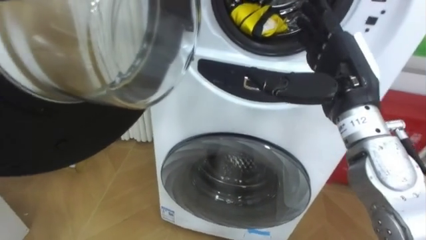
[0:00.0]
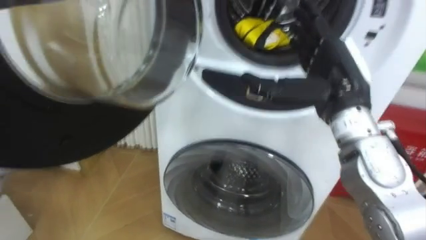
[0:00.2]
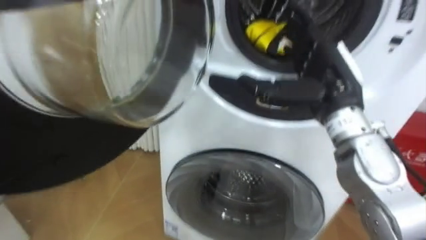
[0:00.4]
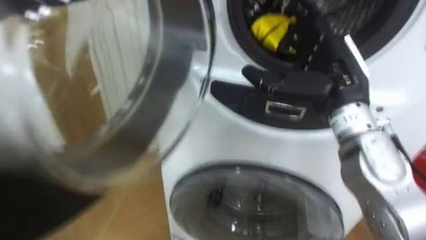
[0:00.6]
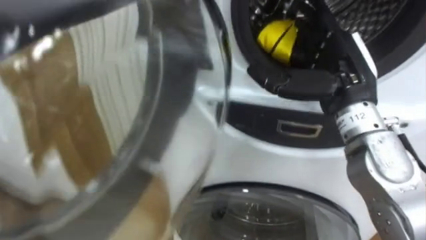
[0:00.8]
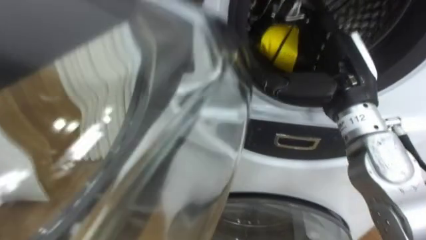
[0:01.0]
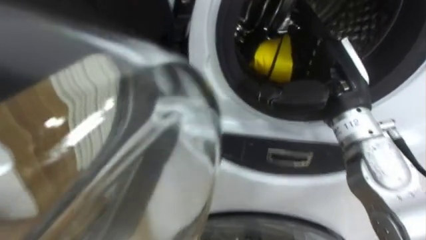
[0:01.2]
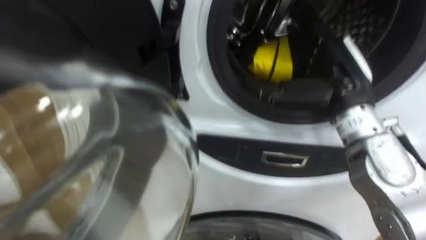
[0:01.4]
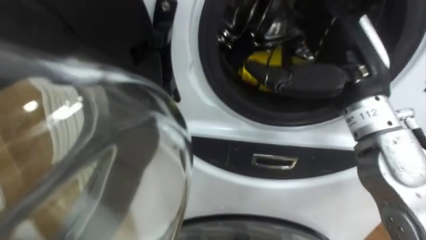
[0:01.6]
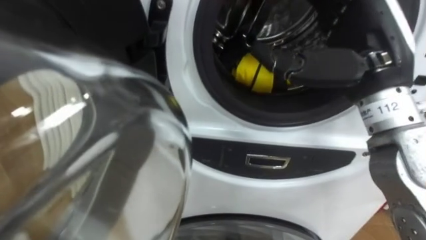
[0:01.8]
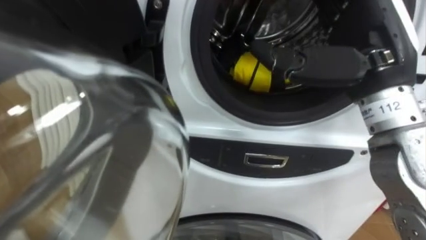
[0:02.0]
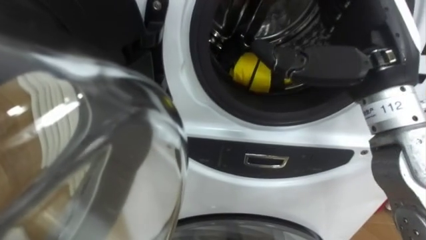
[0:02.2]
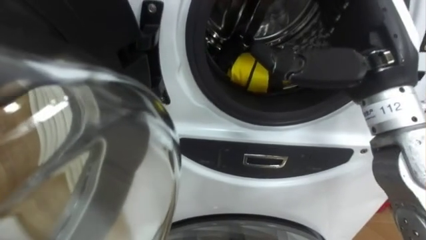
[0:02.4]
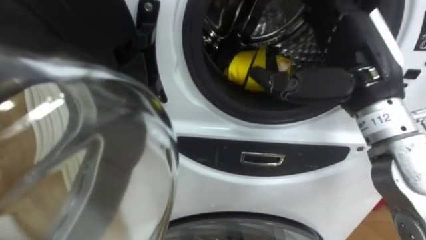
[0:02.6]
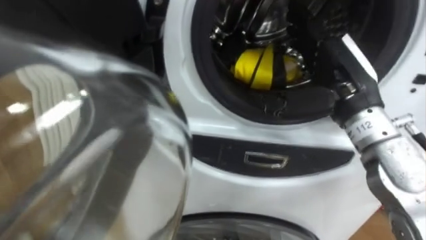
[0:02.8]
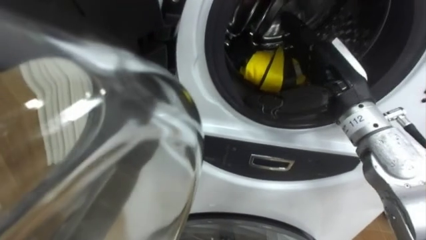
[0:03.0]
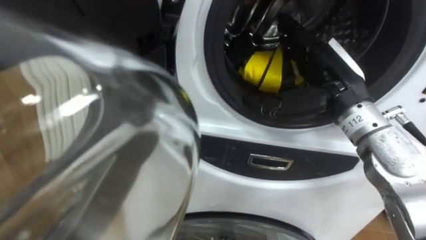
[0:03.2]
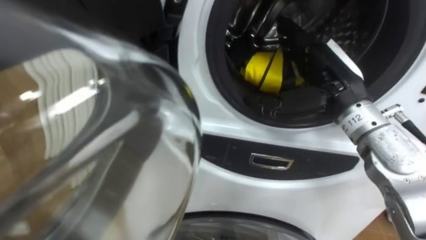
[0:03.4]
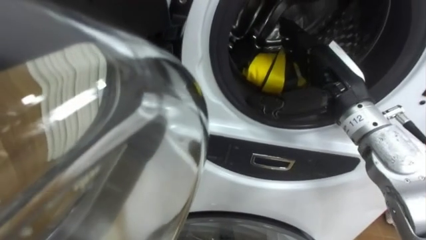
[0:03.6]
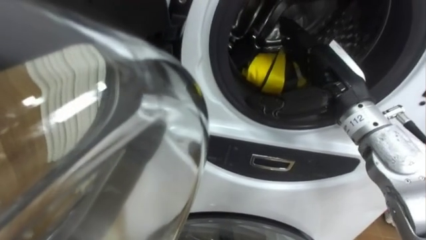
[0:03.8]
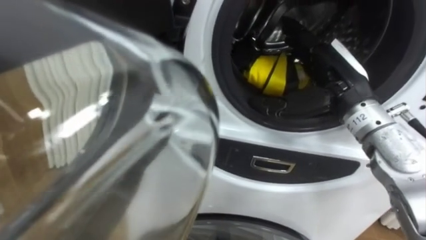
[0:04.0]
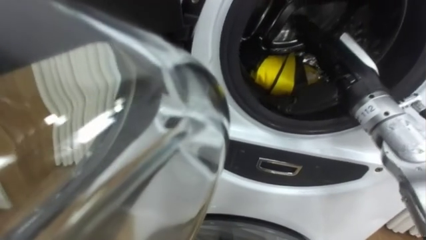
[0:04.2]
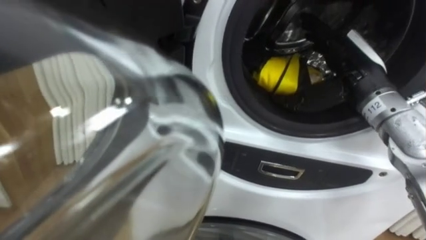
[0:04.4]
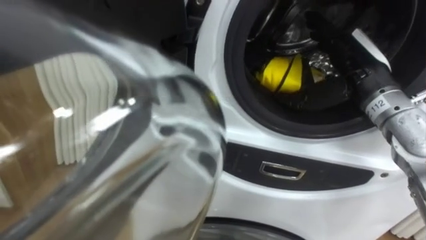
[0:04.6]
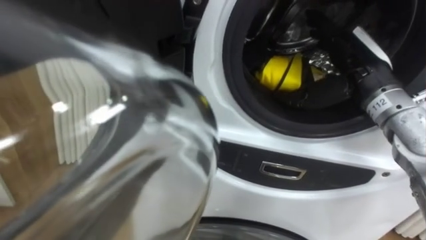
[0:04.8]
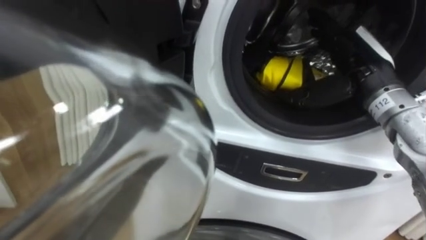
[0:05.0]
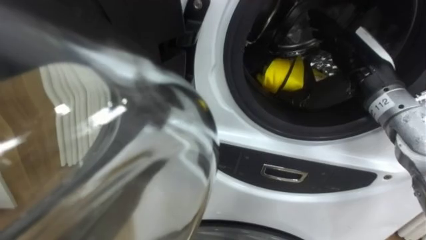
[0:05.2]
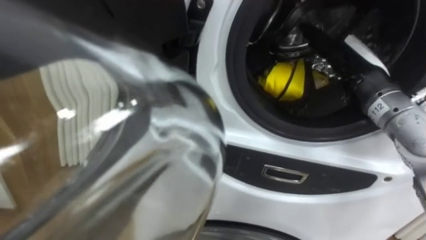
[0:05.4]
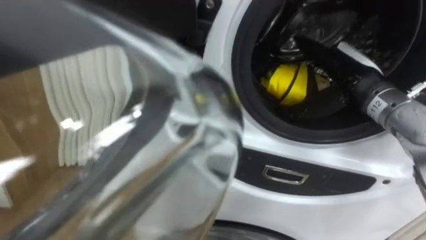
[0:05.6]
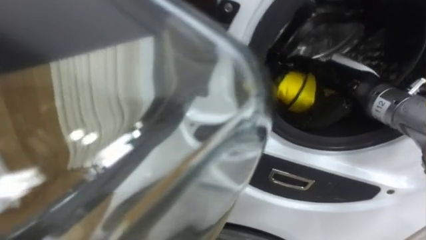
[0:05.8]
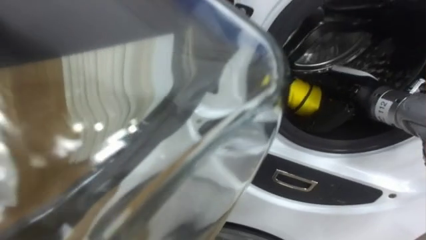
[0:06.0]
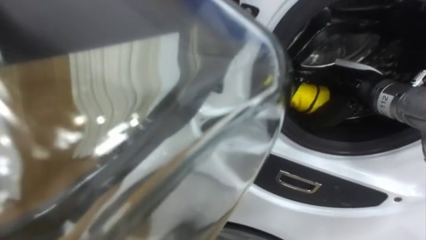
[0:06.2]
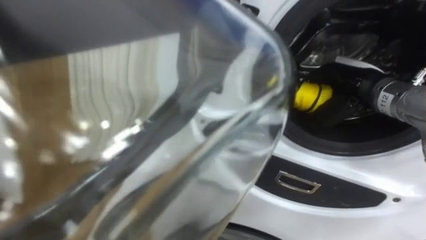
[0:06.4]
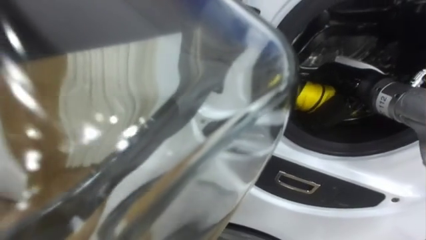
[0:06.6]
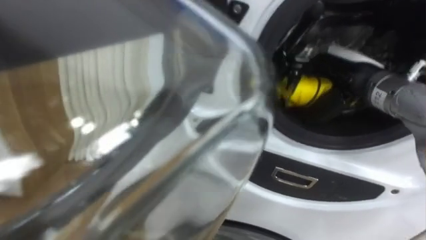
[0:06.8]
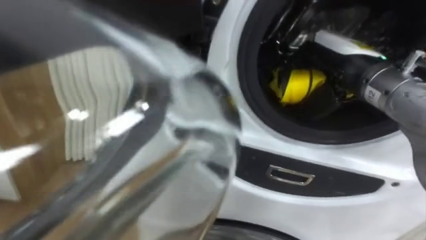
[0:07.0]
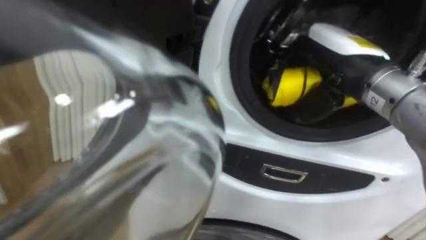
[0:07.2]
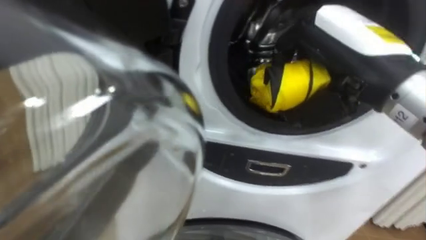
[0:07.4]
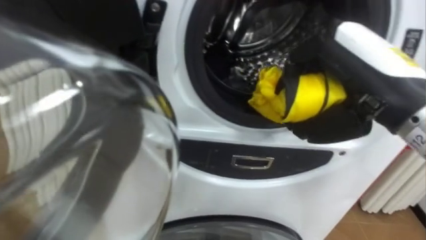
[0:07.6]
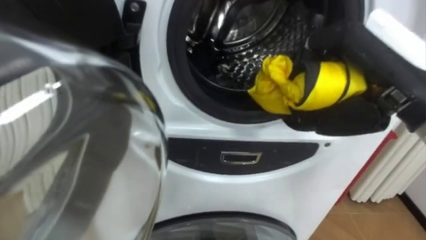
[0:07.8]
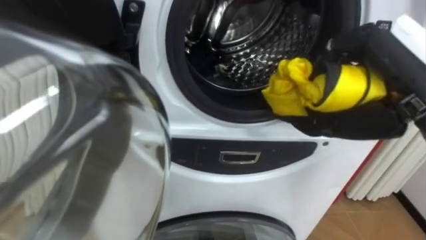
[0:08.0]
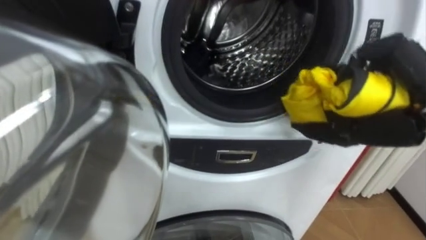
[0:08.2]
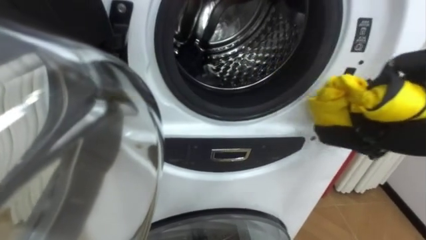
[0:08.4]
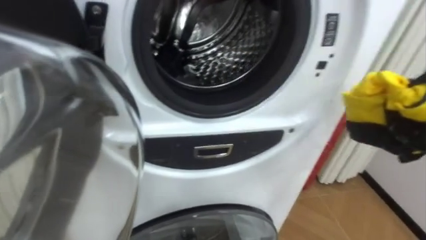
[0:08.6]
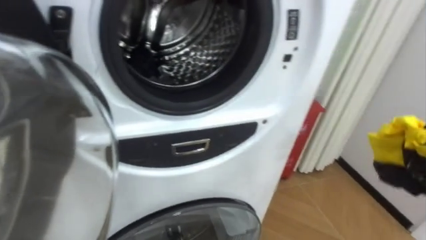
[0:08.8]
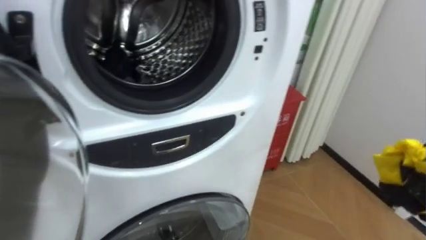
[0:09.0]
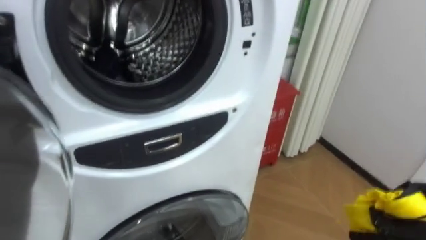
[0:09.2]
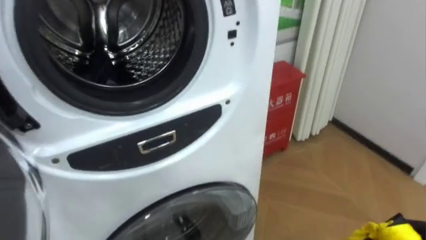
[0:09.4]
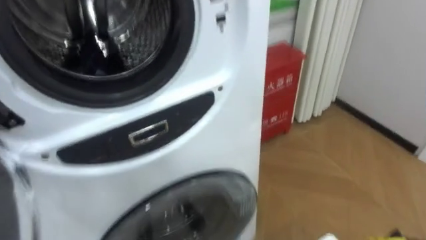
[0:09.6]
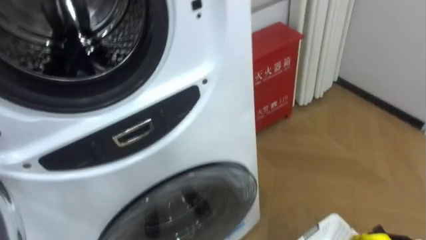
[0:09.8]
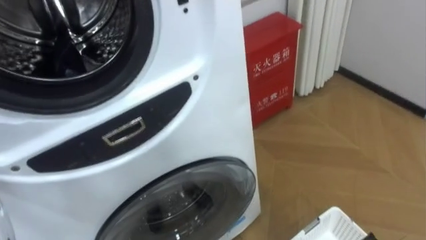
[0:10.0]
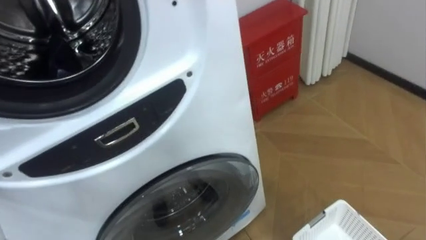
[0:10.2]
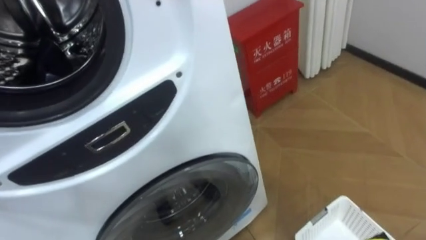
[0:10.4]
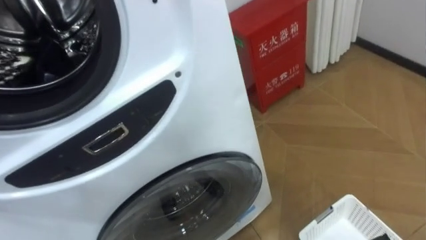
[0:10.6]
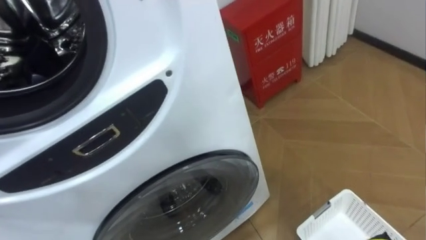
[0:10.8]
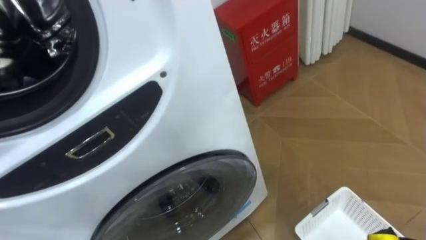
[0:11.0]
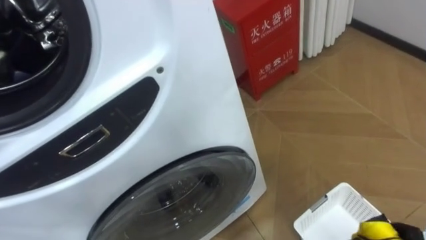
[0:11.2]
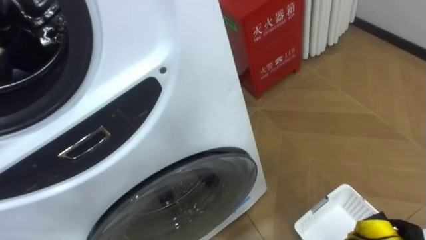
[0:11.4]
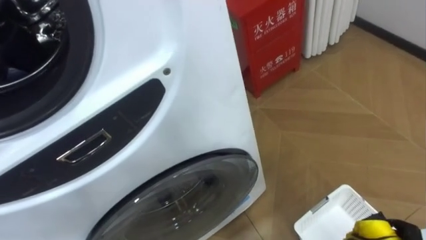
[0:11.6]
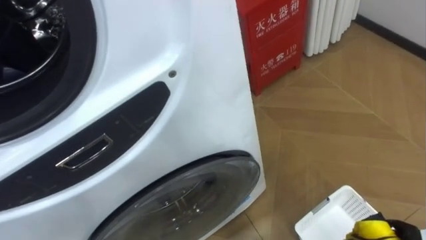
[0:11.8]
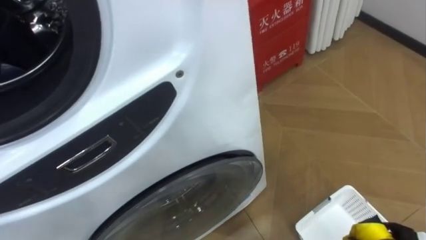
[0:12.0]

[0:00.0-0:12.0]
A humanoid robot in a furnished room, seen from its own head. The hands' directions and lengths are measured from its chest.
Task of the whole recording: Open the washing machine door, take out the yellow clothes, place them in the box on the right, and close the washing machine door.
0:04.4 to 0:06.0: The right hand goes some 5 cm downward.
0:06.0 to 0:07.6: The right hand shifts about 20 cm upward, backward and to the left, and closes.

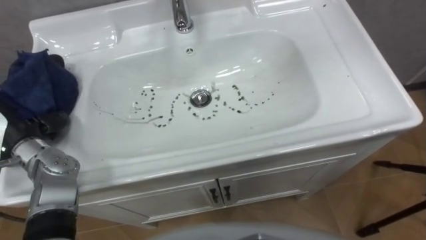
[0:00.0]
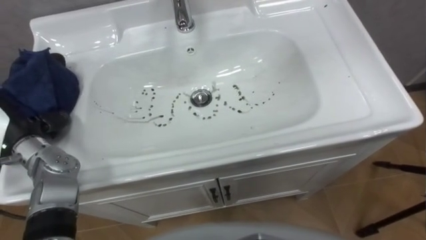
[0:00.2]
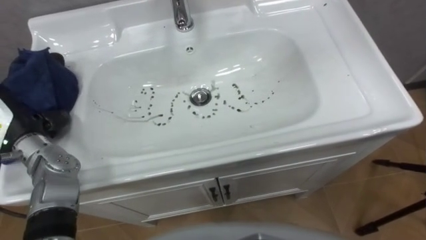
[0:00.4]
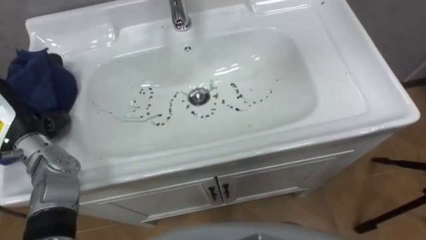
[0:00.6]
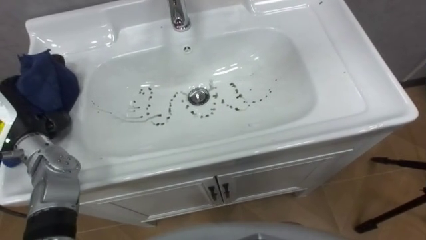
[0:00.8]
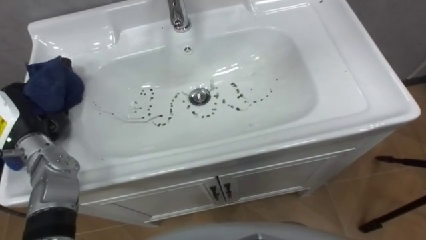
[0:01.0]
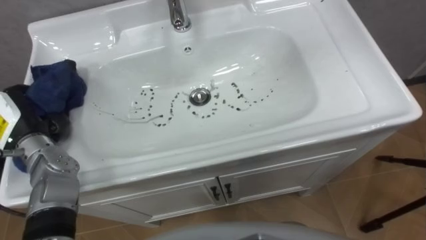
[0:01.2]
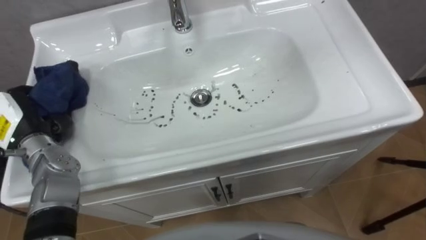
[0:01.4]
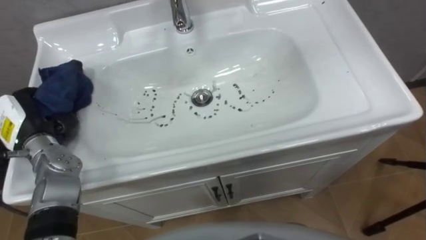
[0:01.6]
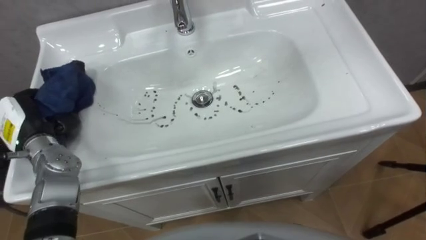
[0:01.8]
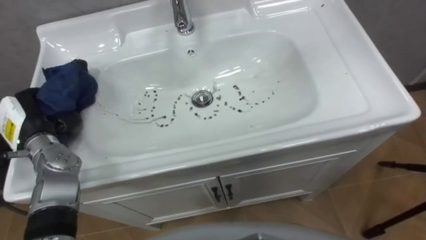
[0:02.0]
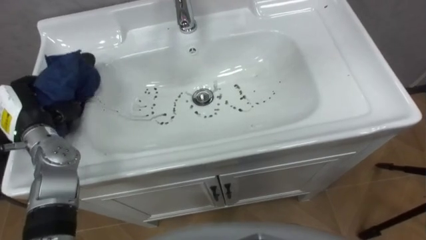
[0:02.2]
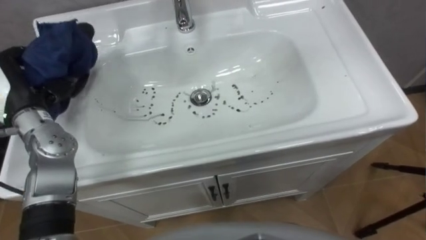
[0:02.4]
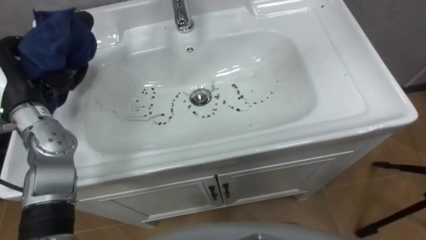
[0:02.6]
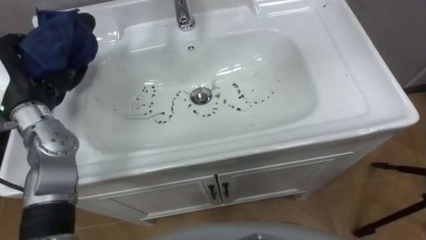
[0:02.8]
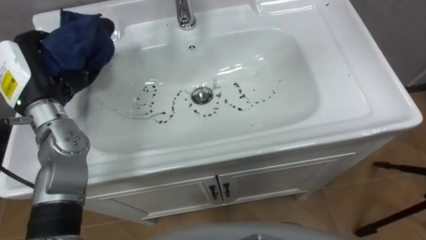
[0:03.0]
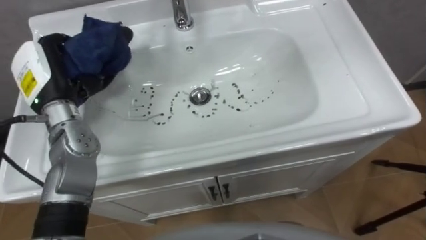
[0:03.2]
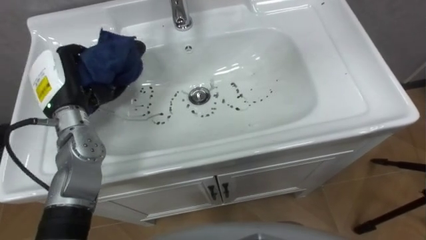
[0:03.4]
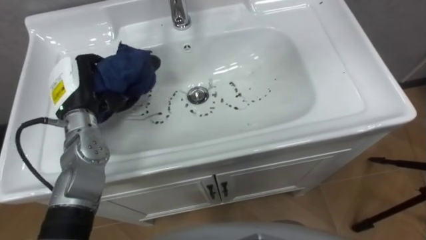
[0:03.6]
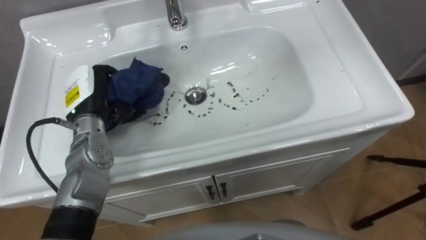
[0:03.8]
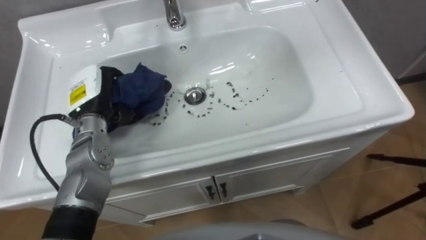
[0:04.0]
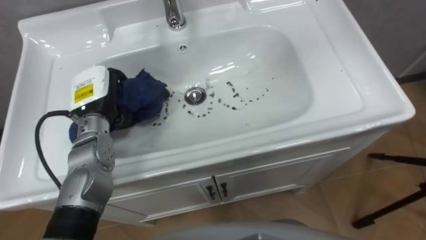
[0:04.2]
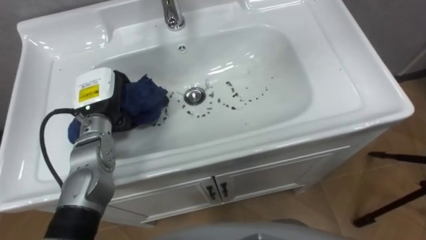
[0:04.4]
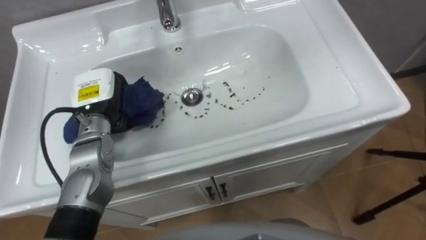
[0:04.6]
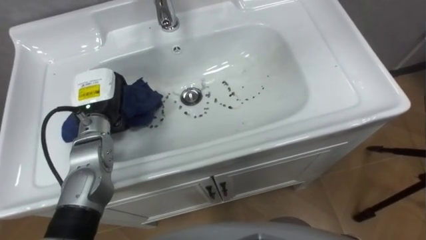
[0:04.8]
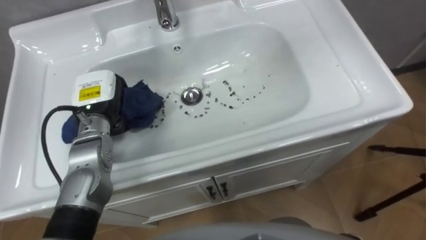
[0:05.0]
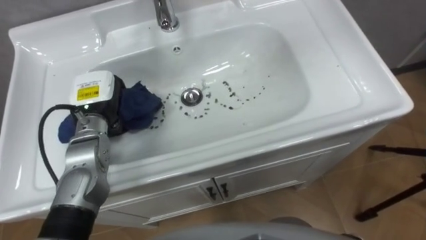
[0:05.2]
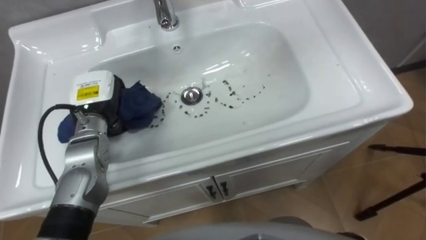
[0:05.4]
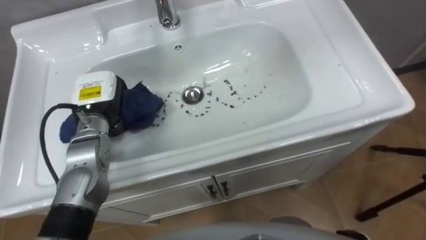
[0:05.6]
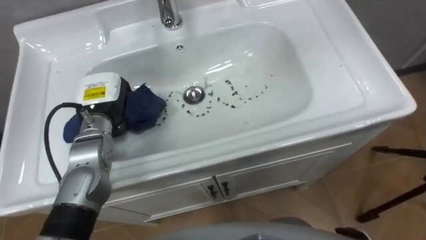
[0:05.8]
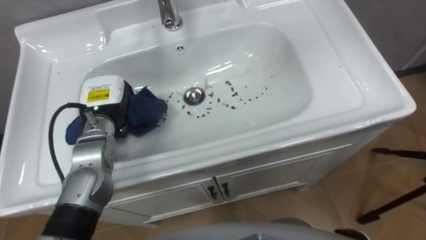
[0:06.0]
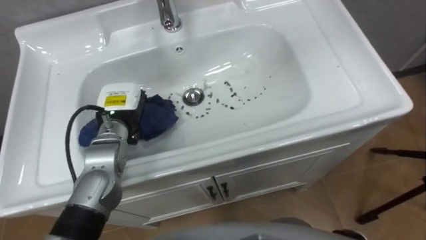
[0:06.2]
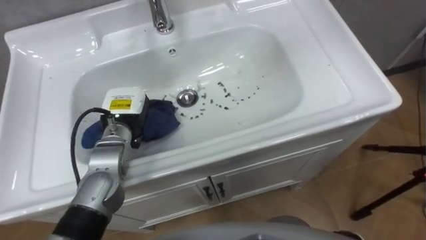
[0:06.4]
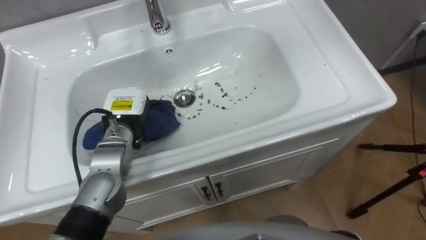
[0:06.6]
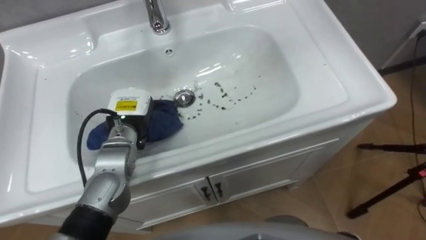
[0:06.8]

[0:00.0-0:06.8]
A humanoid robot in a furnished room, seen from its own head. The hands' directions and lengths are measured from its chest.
Task of the whole recording: Use the cloth on the right to wipe away the black stain in the sink.
0:01.4 to 0:02.8: The left hand shifts some 10 cm upward.
0:02.8 to 0:04.0: The left hand shifts some 10 cm to the right and downward.
0:05.4 to 0:06.8: The left hand shifts some 5 cm to the right.
